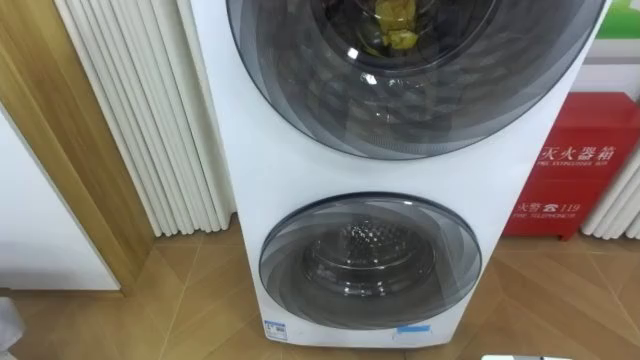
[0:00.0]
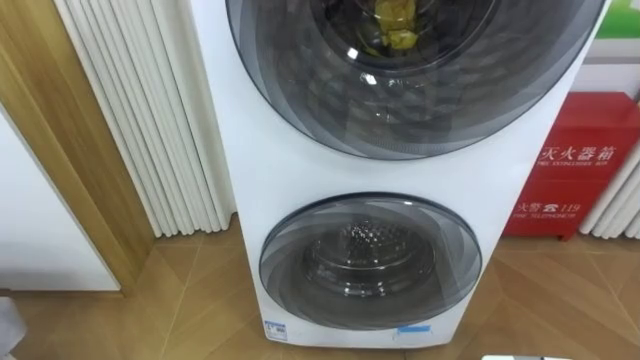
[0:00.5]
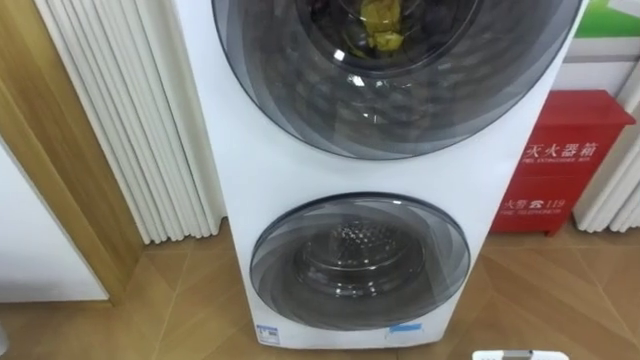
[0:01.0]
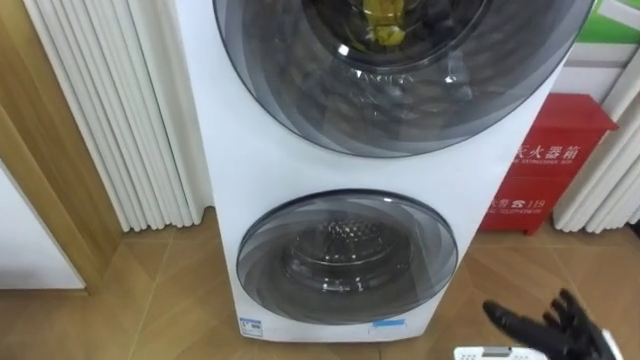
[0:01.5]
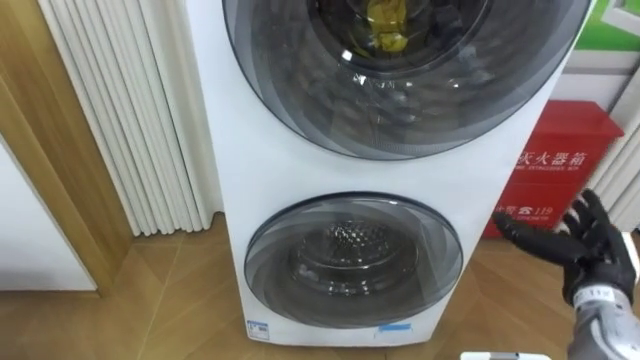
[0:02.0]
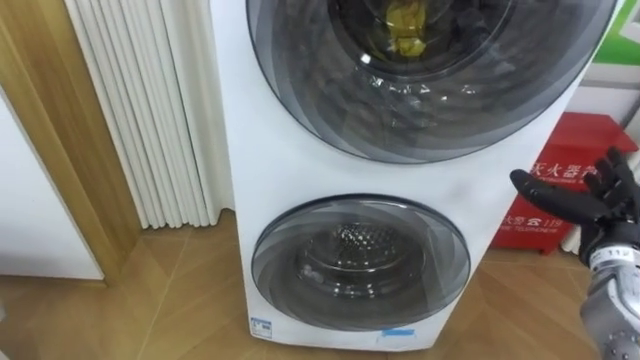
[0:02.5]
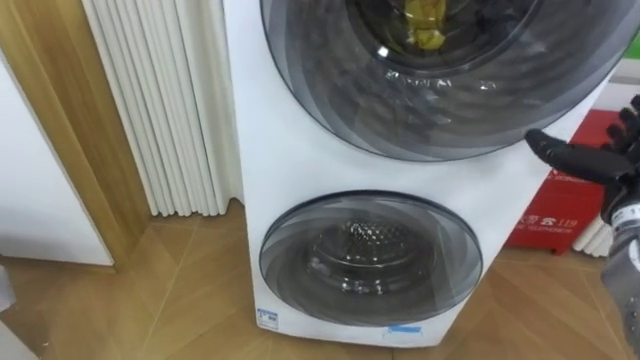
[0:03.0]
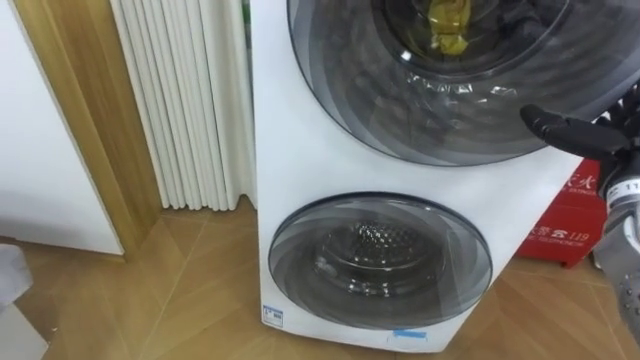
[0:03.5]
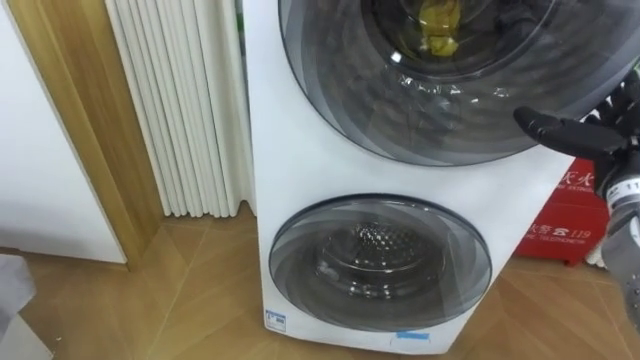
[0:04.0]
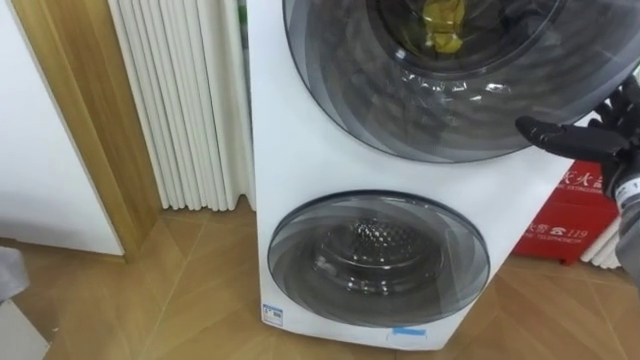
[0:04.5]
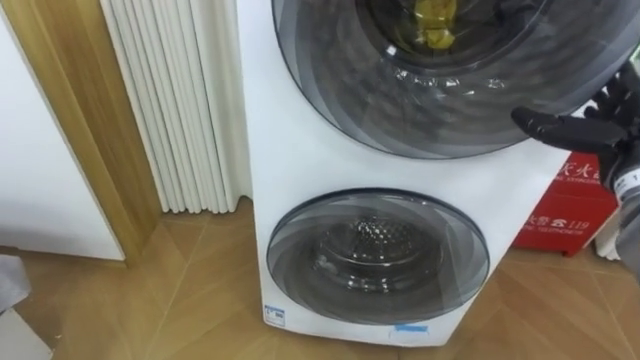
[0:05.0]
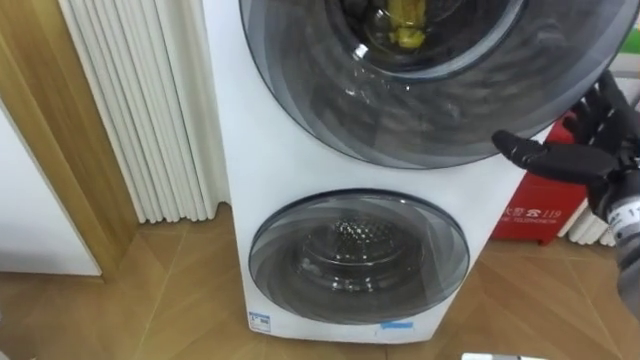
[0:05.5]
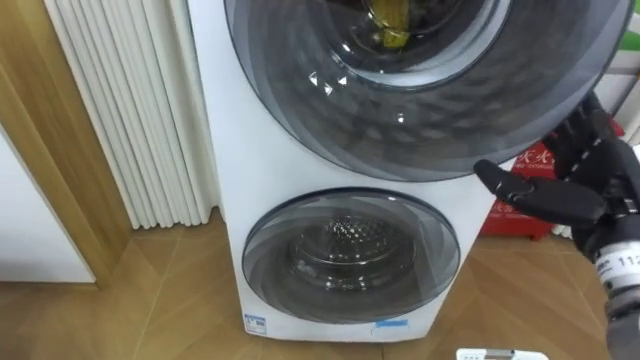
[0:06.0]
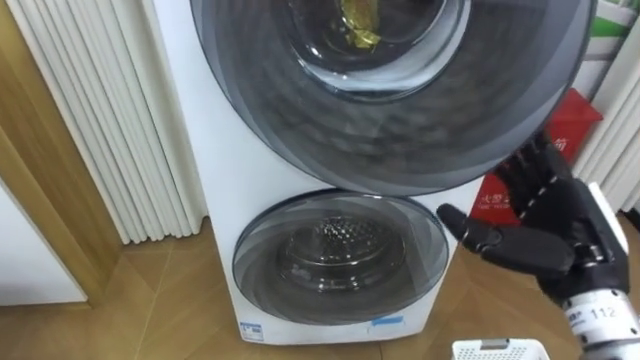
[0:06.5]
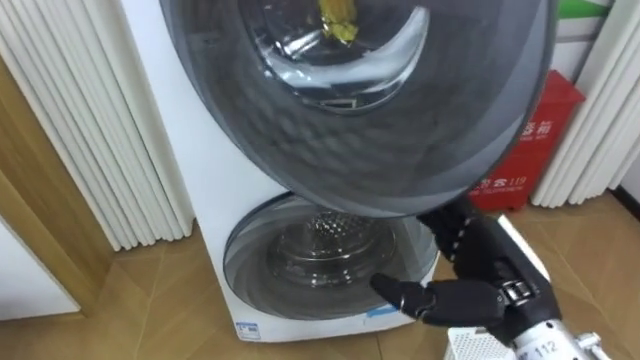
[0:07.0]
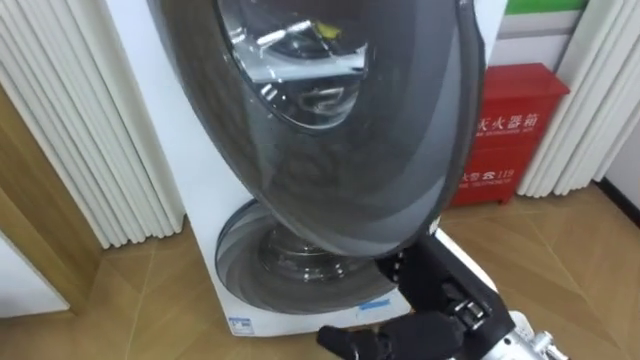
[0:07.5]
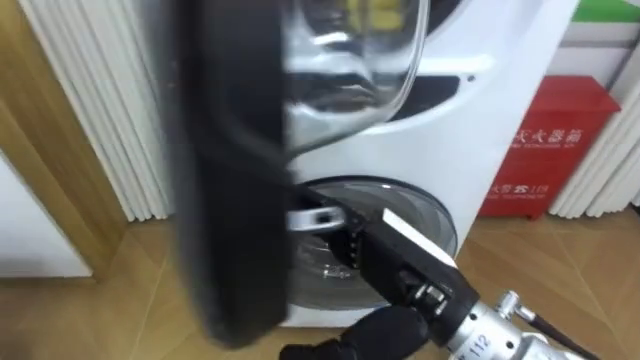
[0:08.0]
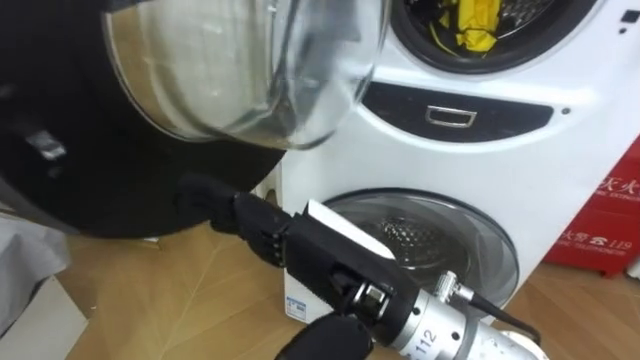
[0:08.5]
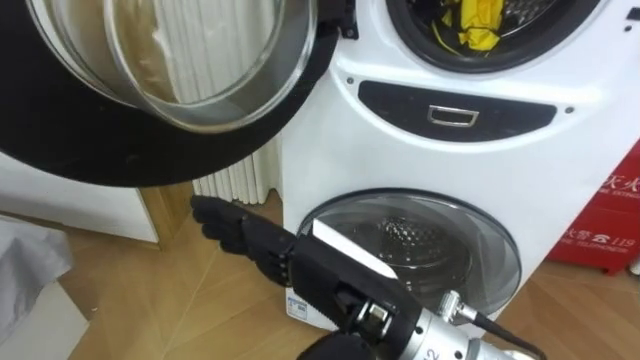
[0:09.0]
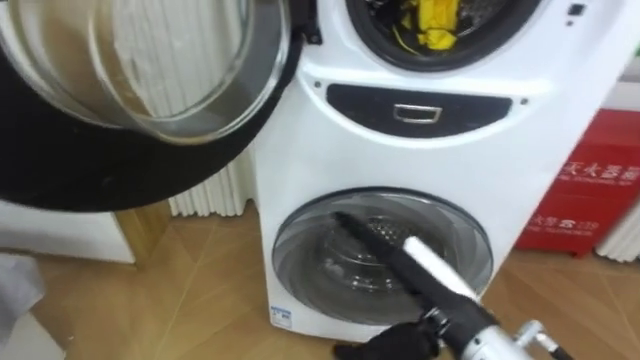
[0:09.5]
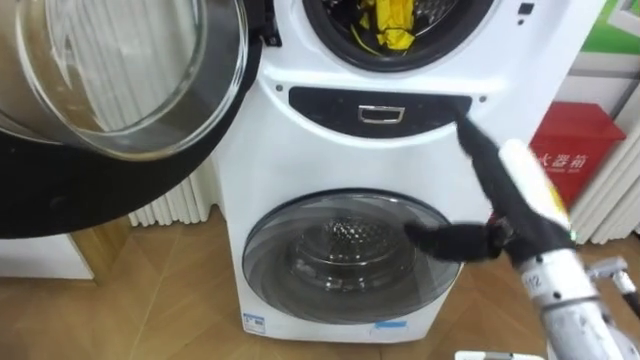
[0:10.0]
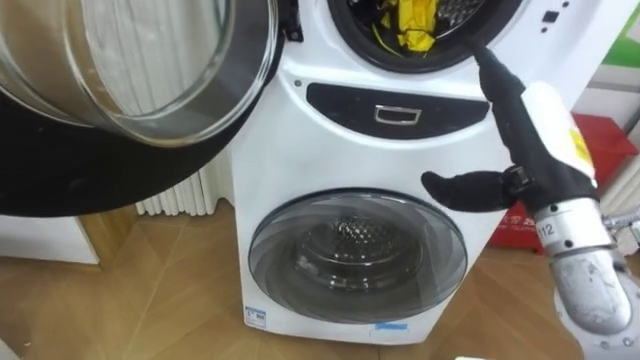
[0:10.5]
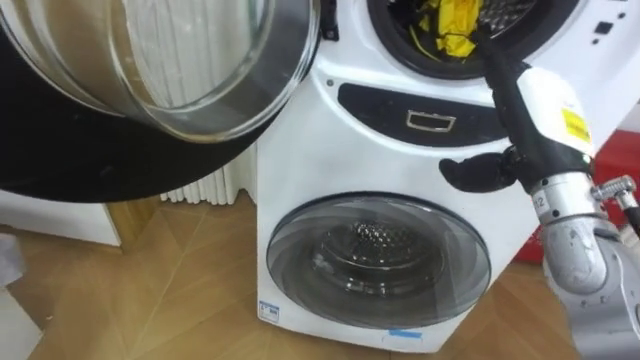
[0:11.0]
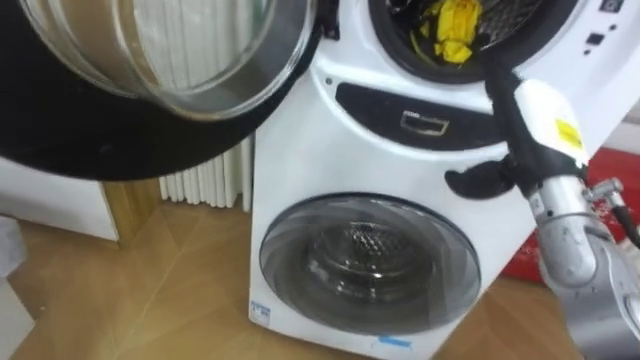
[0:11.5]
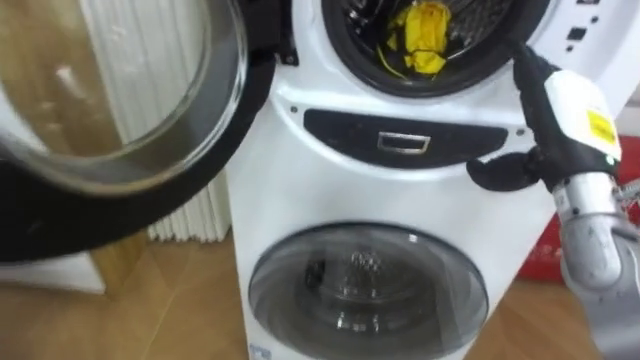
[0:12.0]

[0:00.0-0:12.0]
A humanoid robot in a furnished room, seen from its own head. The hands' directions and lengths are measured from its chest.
Task of the whole recording: Open the washing machine door, take out the yellow clothes, place them in the box on the right, and close the washing machine door.
0:02.0 to 0:04.0: The right hand moves upward and forward, approximately 15 cm.
0:04.0 to 0:06.0: The right hand moves backward and to the left, approximately 10 cm.
0:06.0 to 0:08.0: The right hand heads to the left, covering about 20 cm.
0:08.0 to 0:10.0: The right hand travels to the right and forward by some 10 cm.
0:10.0 to 0:12.0: The right hand moves forward and to the right, roughly 10 cm.

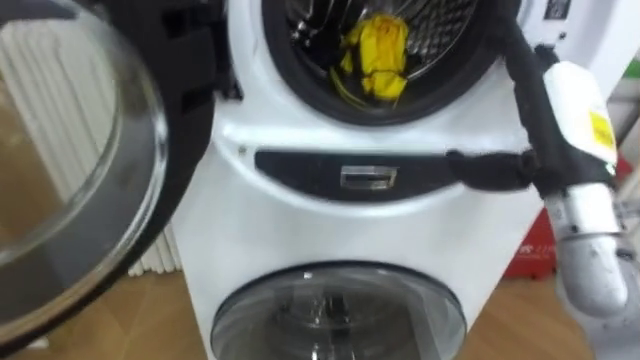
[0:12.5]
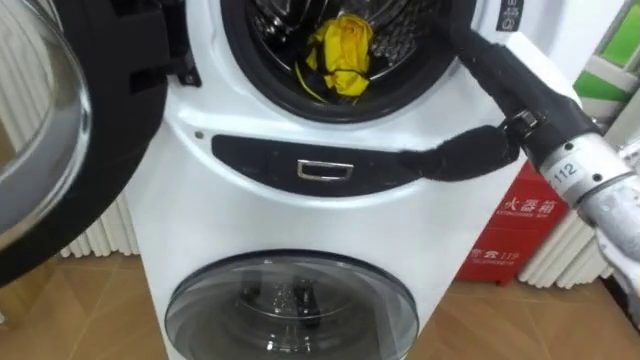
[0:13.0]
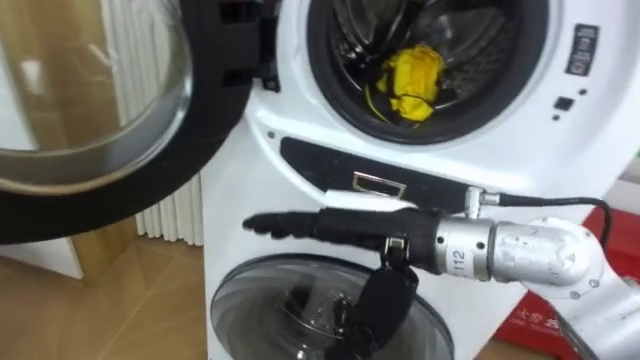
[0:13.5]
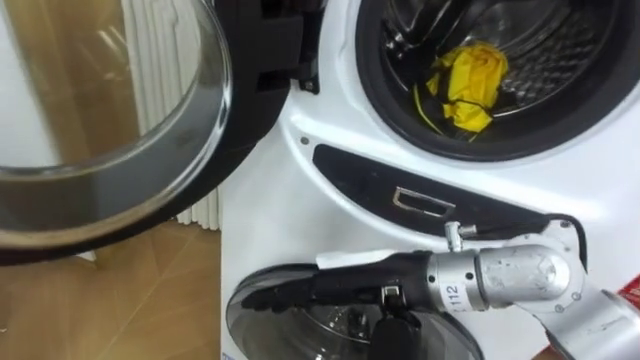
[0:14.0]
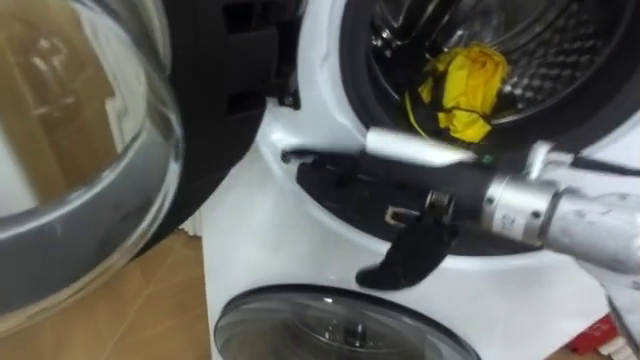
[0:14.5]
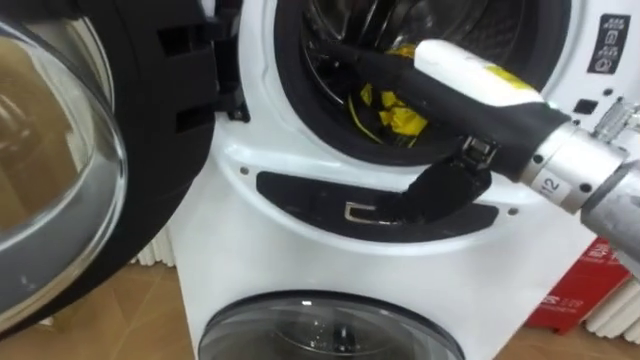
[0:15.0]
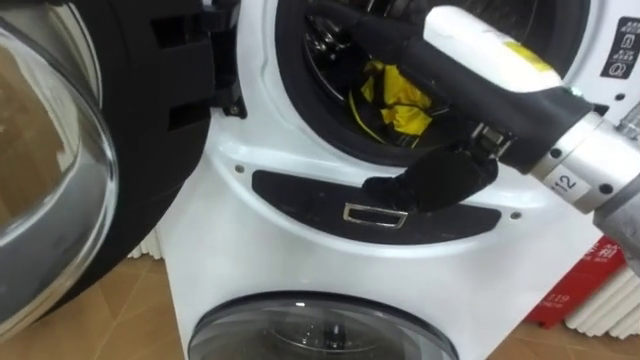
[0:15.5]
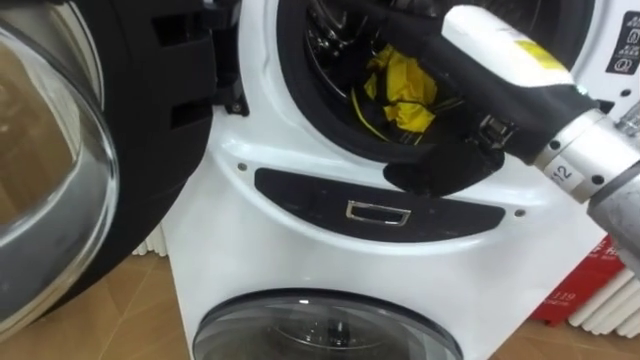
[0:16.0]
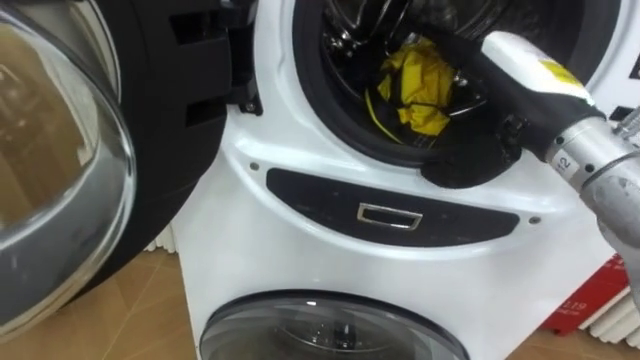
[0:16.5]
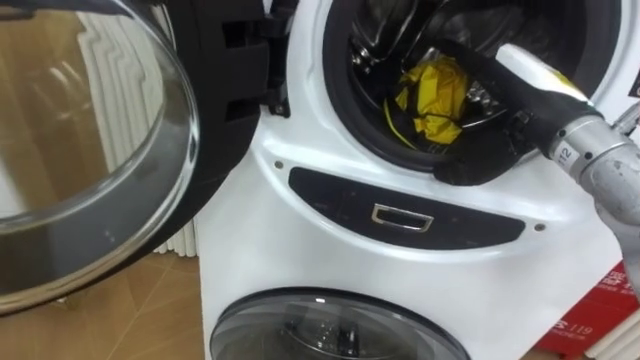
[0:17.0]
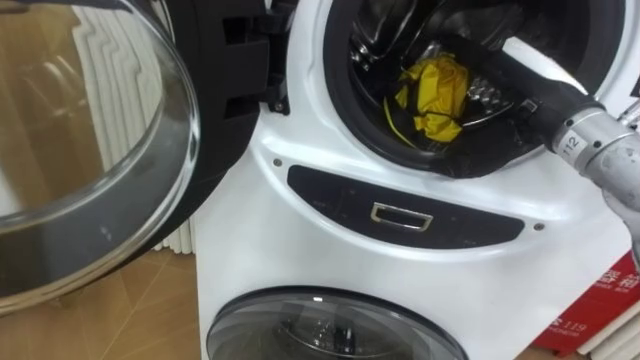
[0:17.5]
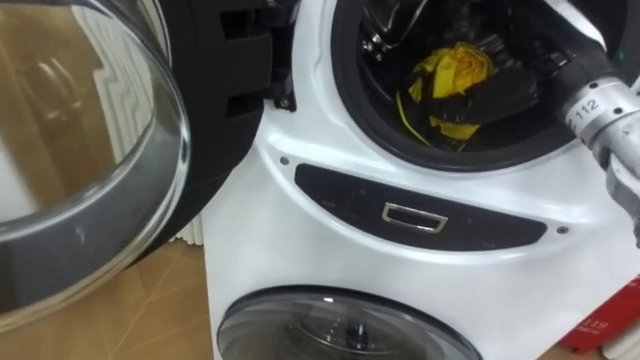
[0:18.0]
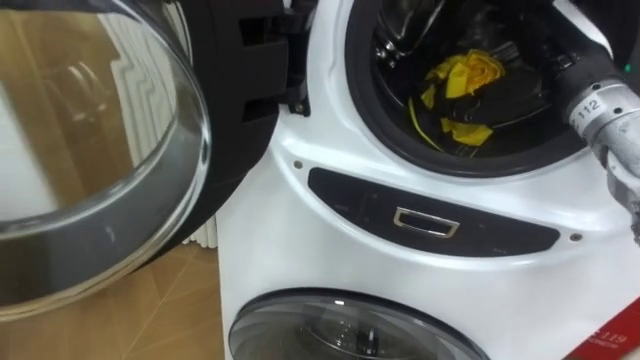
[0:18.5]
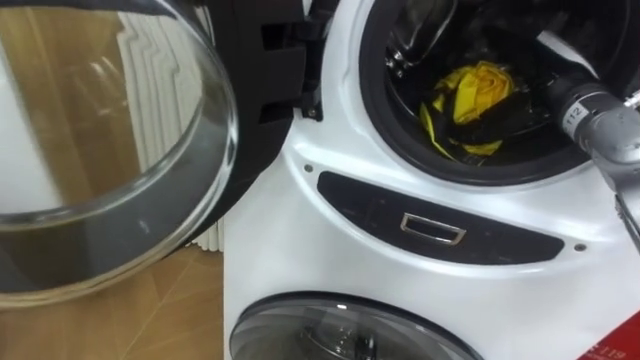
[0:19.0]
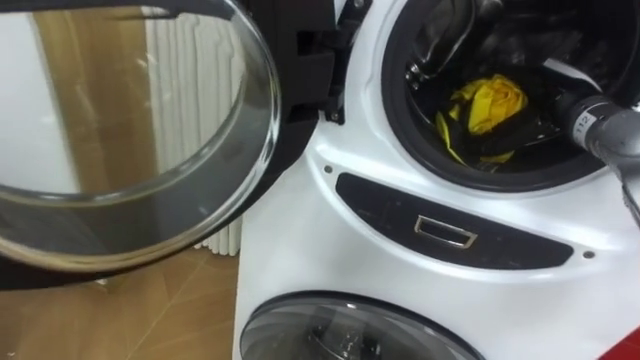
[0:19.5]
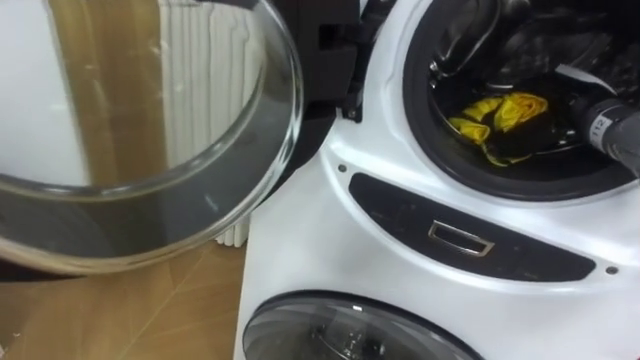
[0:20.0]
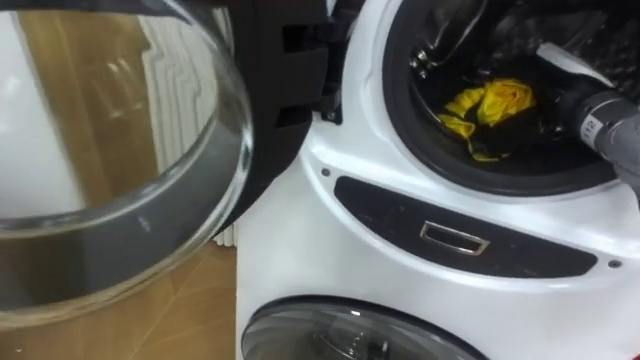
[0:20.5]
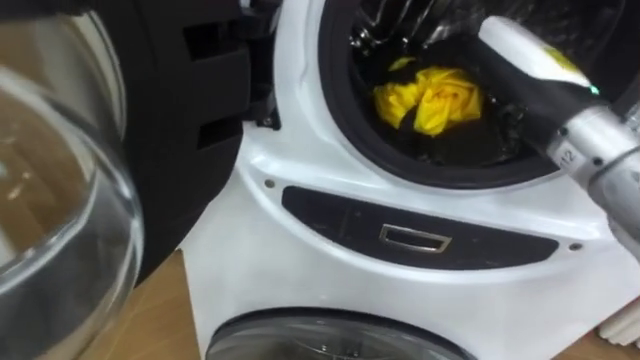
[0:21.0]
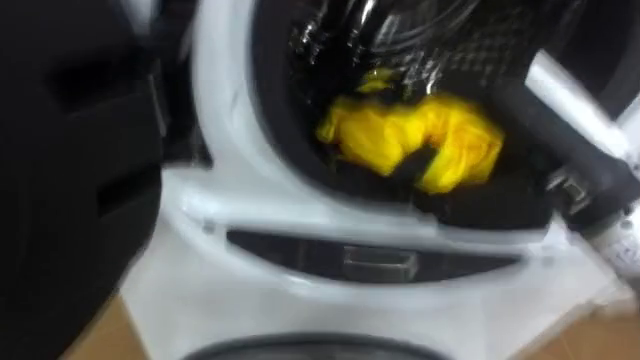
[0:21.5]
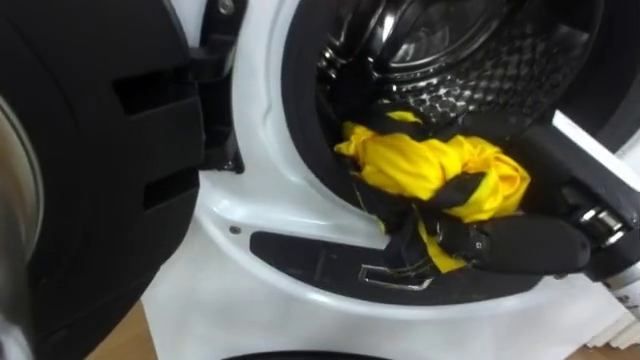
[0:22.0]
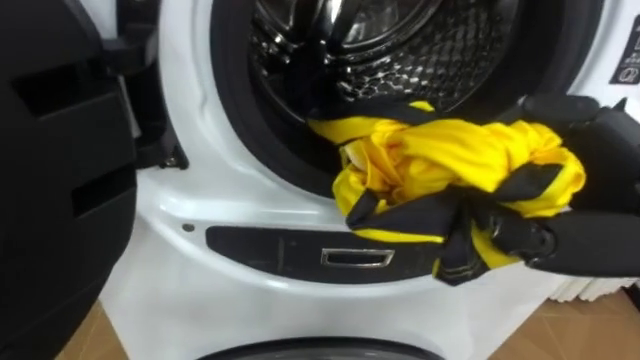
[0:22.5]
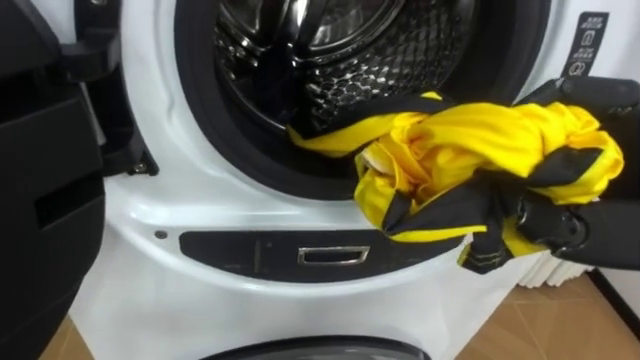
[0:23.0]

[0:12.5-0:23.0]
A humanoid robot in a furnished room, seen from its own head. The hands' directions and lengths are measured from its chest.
Task of the whole recording: Open the washing machine door, take out the yellow clothes, place them in the box on the right, and close the washing machine door.
0:12.5 to 0:14.5: The right hand travels to the left by about 15 cm.
0:14.5 to 0:16.5: The right hand goes some 10 cm to the right and forward.
0:16.5 to 0:19.0: The right hand is displaced forward and to the right by about 10 cm.
0:19.0 to 0:21.0: The right hand moves backward and to the left, approximately 10 cm, and closes.
